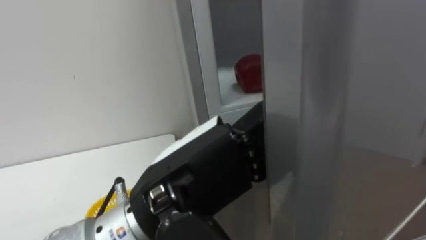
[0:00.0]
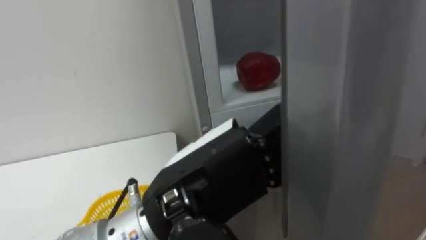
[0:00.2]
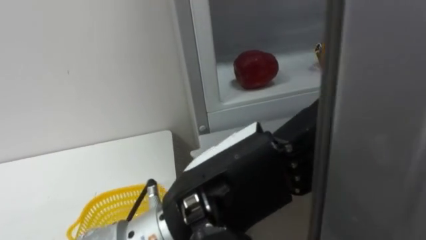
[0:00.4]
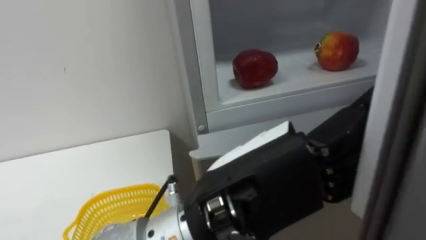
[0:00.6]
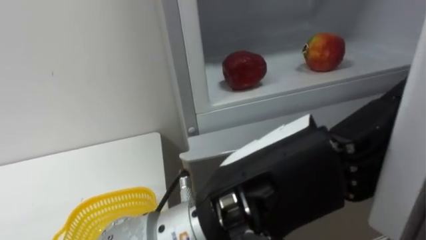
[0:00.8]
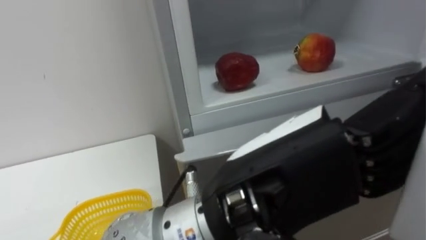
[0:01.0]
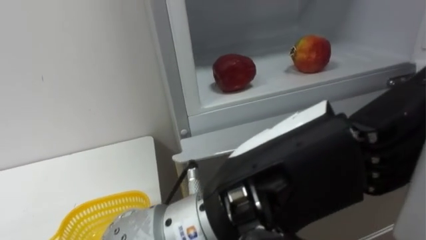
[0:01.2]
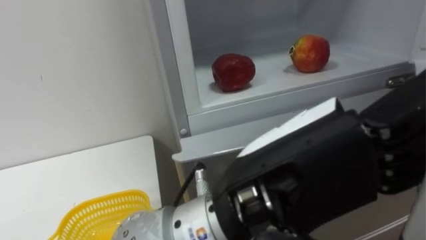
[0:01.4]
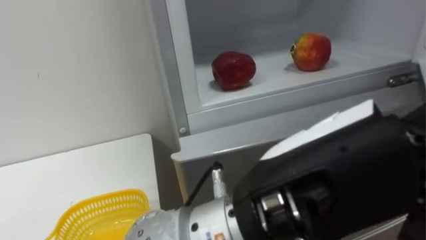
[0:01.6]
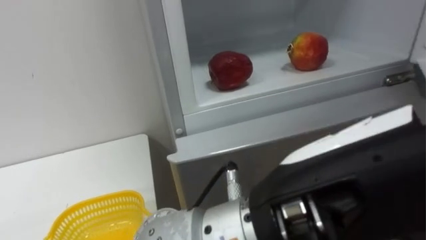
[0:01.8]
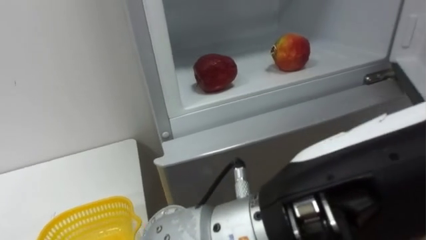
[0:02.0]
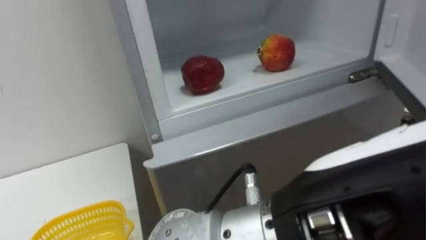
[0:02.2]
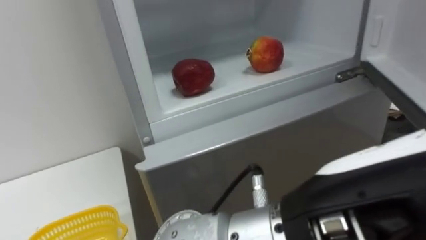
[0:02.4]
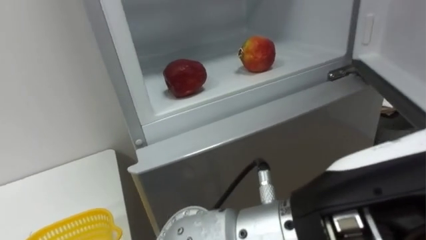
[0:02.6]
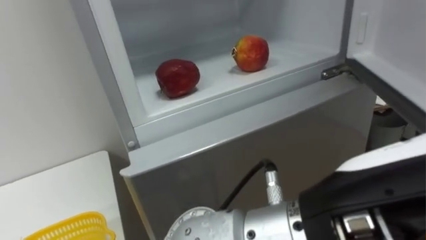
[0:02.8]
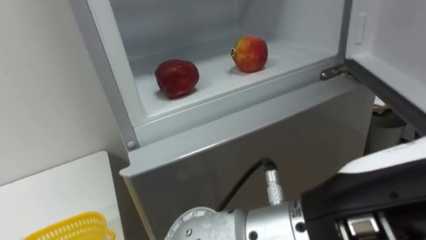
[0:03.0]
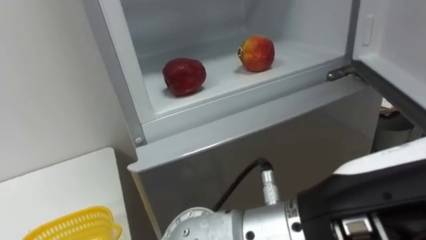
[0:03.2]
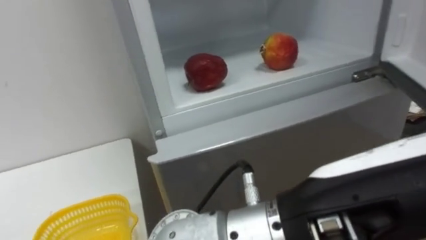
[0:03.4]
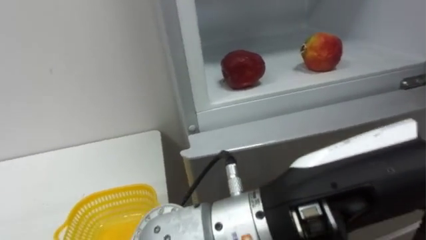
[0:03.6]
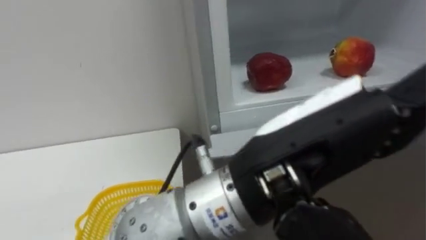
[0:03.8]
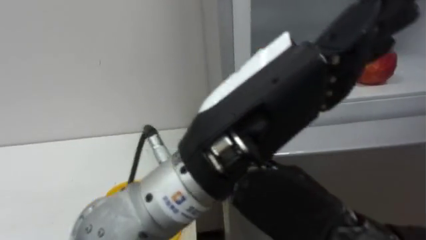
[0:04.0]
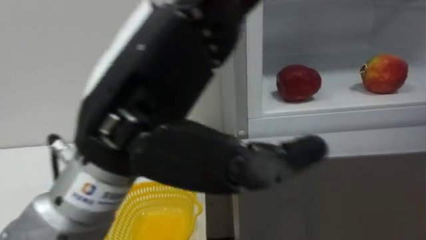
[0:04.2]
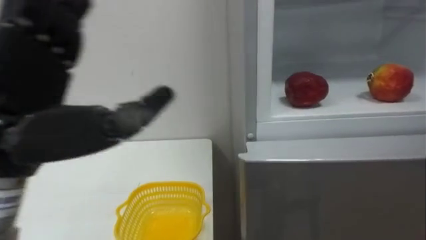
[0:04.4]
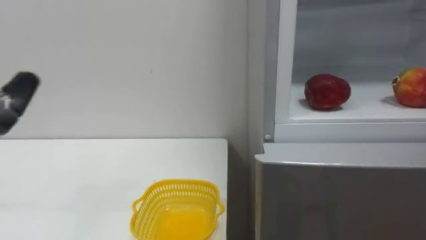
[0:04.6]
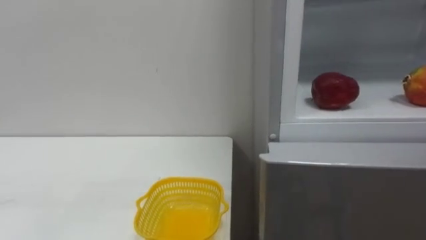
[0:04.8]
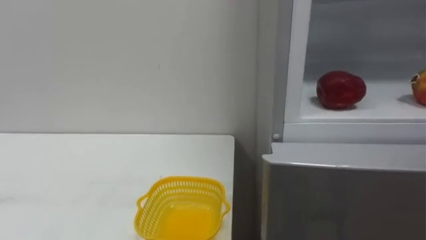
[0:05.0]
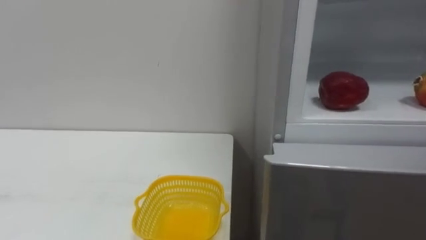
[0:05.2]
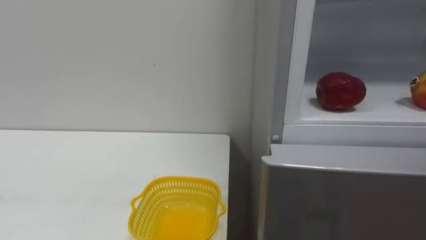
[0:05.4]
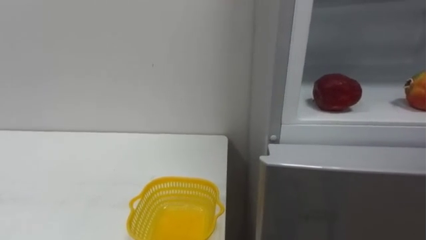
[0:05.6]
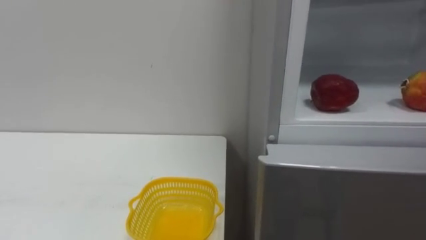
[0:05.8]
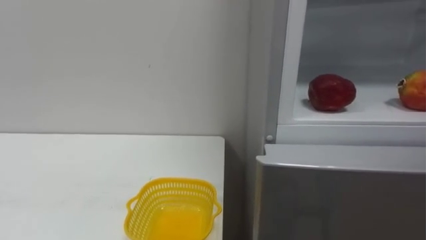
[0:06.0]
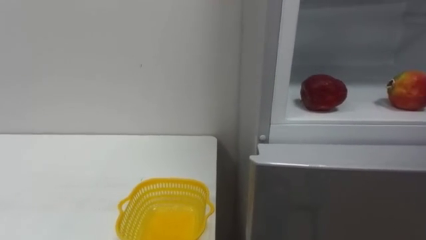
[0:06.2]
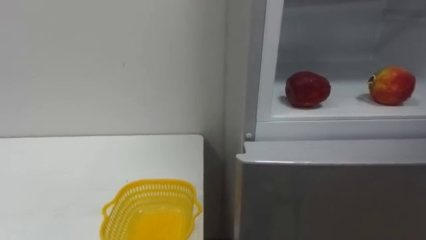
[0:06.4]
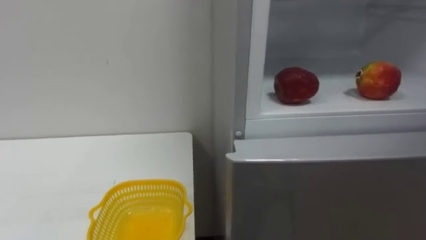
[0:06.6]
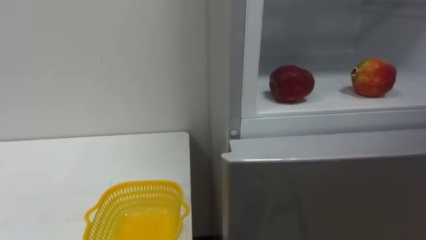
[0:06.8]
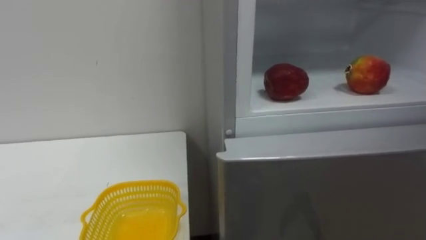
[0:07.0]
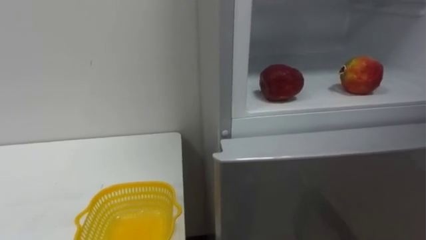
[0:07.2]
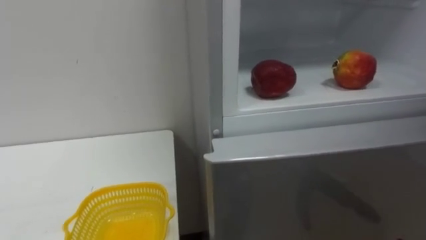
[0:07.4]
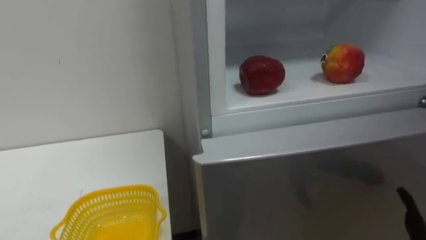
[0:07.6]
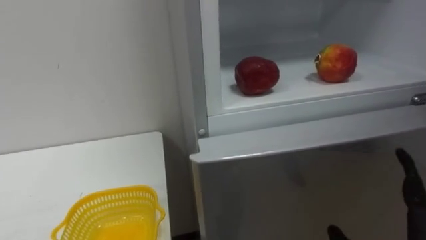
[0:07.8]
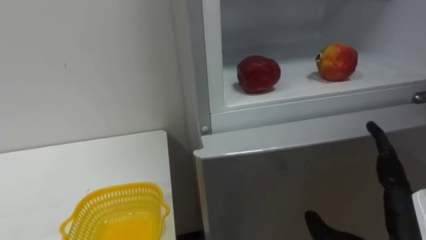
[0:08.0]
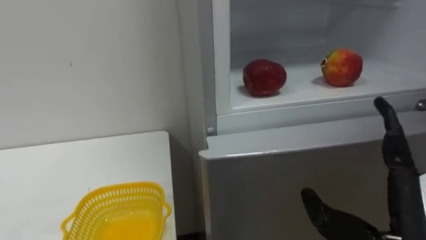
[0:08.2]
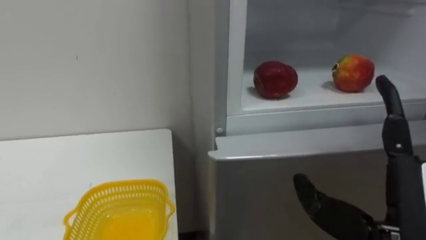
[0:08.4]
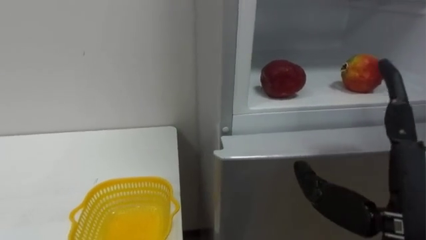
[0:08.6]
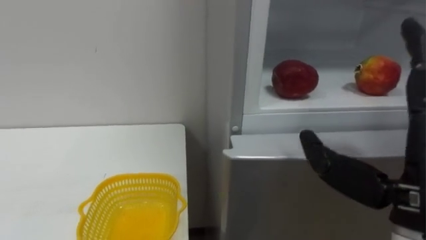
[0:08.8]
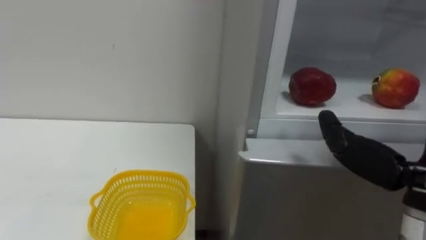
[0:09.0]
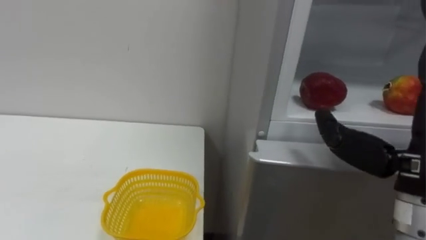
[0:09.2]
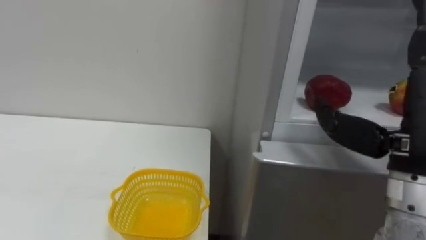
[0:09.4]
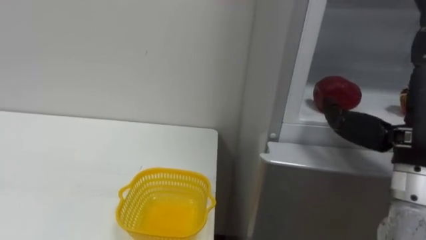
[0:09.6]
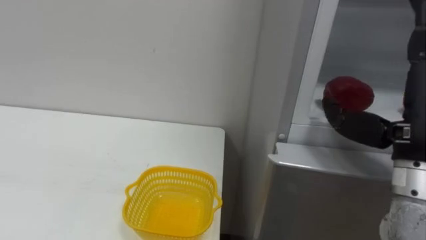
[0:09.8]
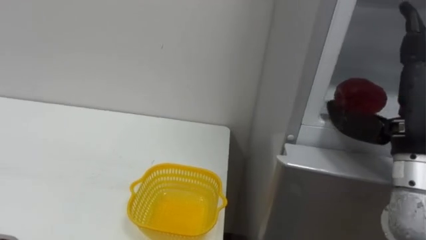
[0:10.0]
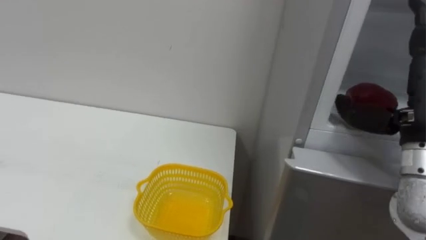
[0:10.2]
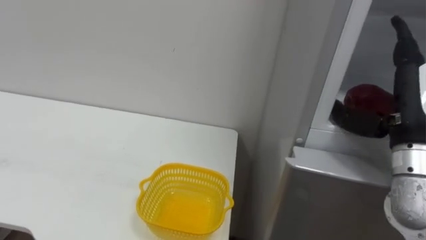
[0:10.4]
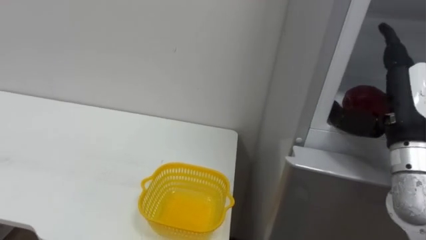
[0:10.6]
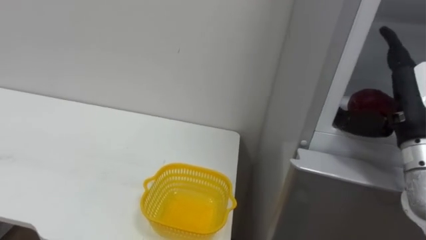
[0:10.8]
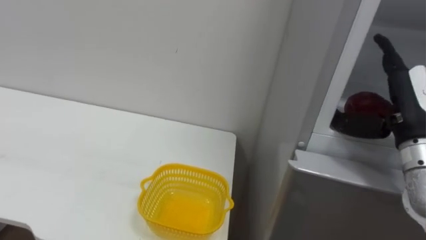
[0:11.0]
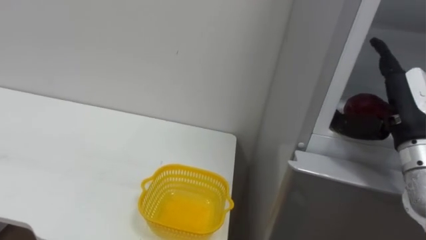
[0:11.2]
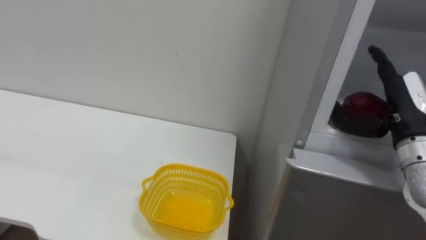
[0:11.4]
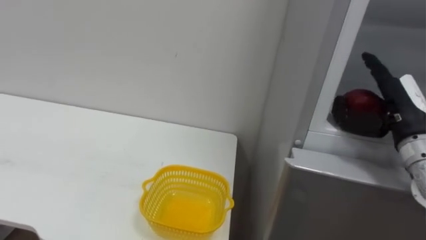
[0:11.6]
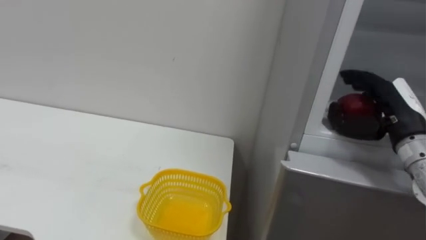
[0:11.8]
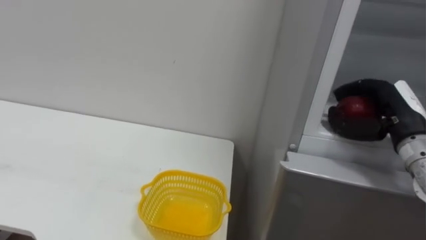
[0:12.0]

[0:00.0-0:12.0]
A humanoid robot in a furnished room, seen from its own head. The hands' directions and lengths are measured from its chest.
Task of the whole recording: Open the refrigerator door, take out the apple and the pomegranate, place them in the fruit basket on the left, and close the refrigerator door.
0:00.0 to 0:01.6: The left hand goes approximately 10 cm to the right and backward.
0:03.0 to 0:04.4: The left hand travels to the left by some 30 cm.
0:10.4 to 0:12.0: The right hand shifts approximately 5 cm forward, and closes.

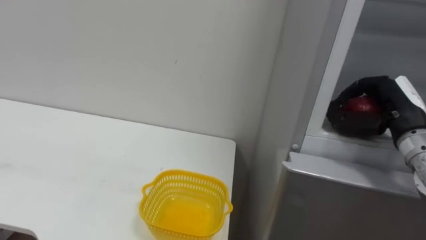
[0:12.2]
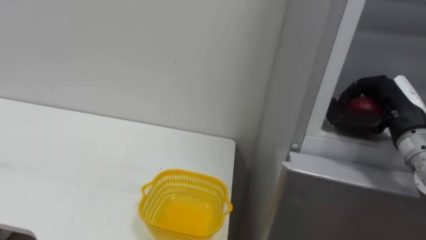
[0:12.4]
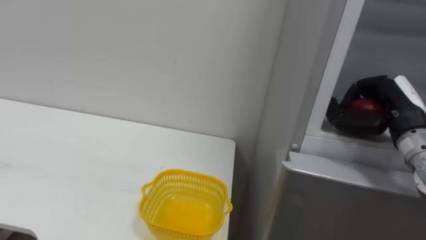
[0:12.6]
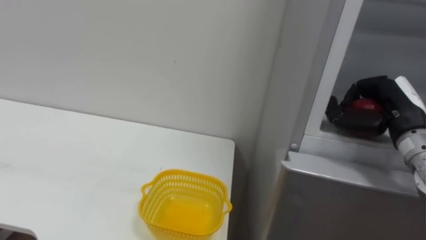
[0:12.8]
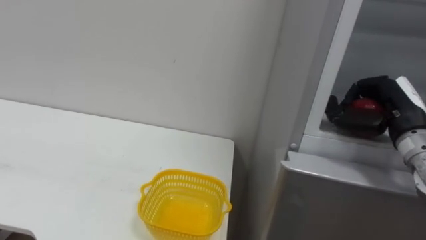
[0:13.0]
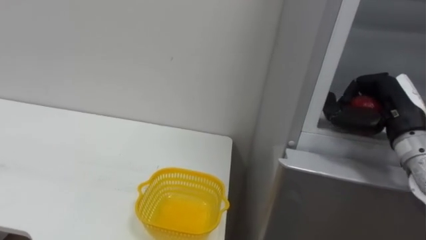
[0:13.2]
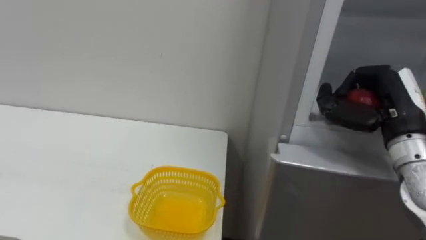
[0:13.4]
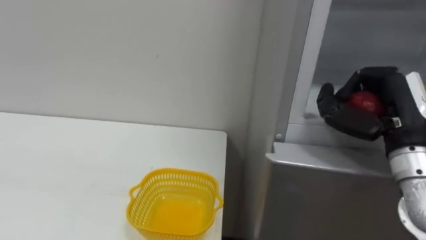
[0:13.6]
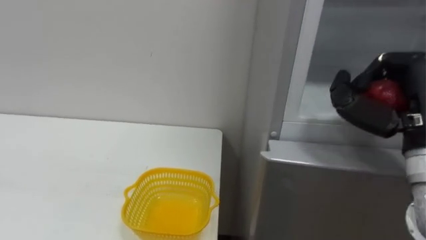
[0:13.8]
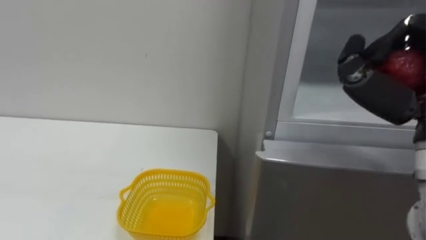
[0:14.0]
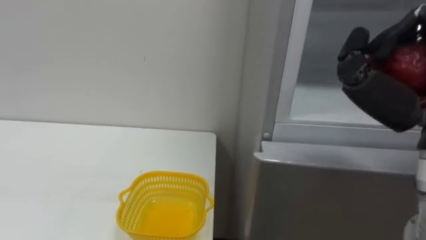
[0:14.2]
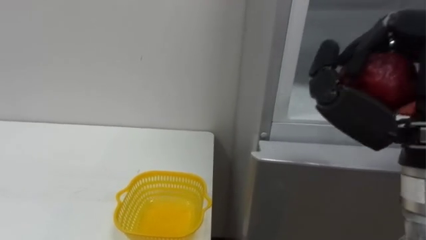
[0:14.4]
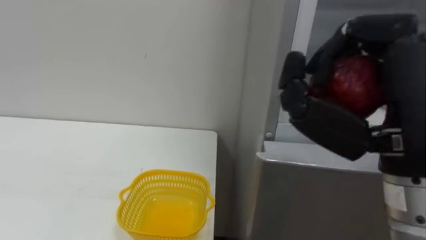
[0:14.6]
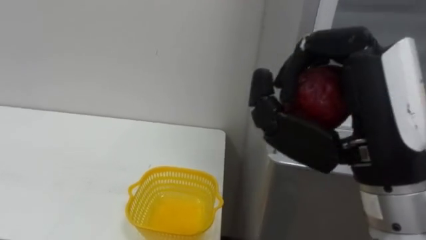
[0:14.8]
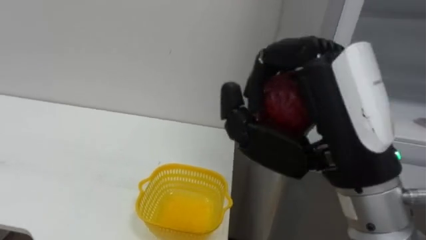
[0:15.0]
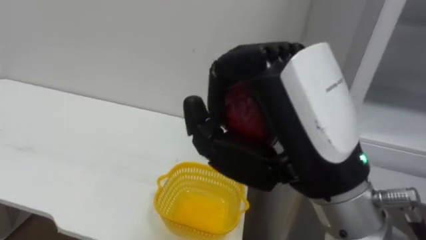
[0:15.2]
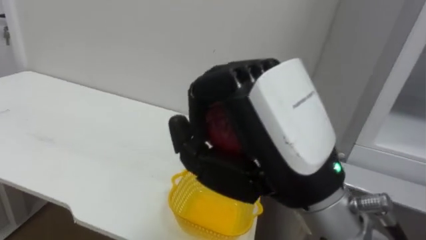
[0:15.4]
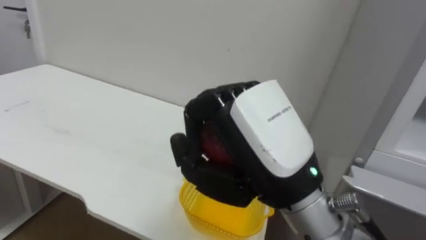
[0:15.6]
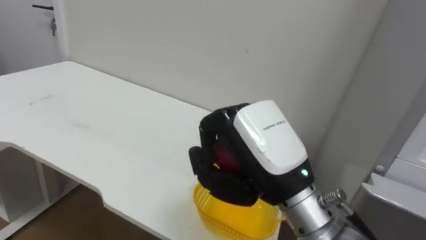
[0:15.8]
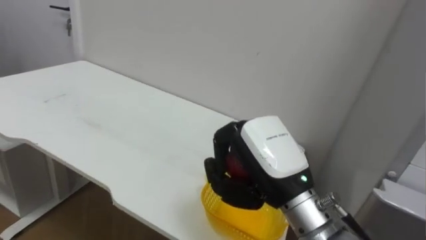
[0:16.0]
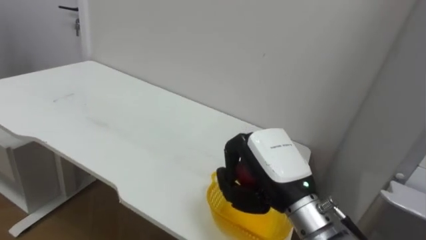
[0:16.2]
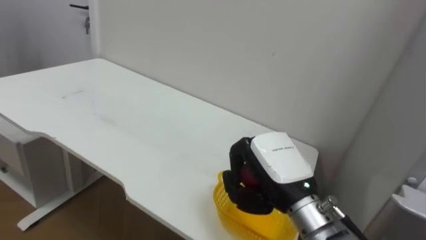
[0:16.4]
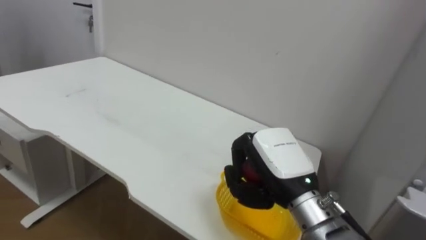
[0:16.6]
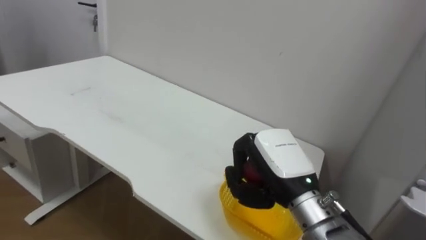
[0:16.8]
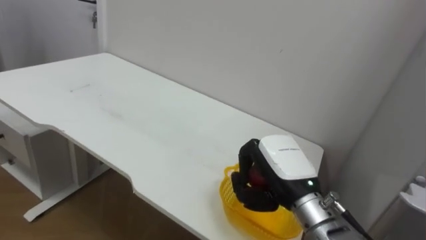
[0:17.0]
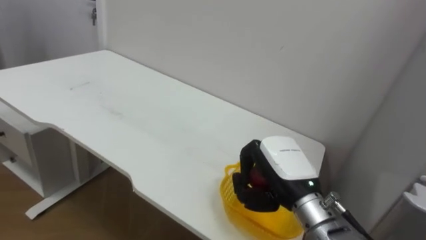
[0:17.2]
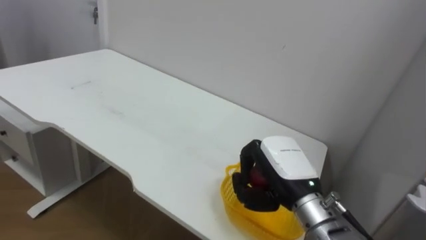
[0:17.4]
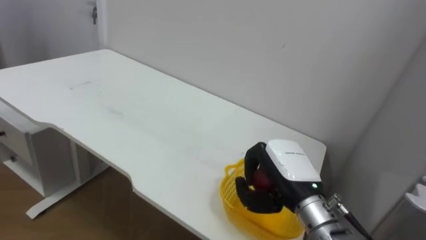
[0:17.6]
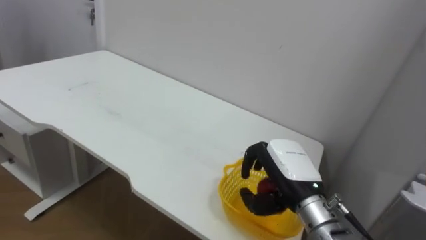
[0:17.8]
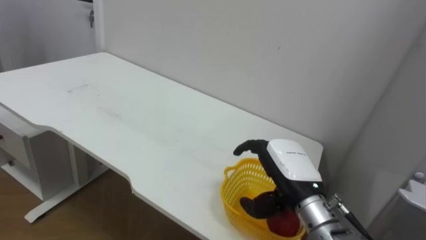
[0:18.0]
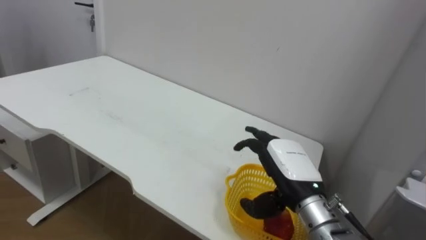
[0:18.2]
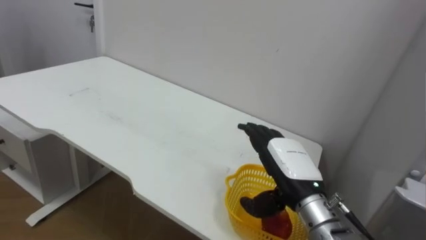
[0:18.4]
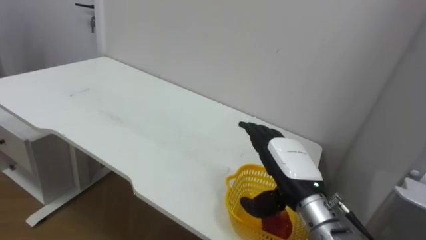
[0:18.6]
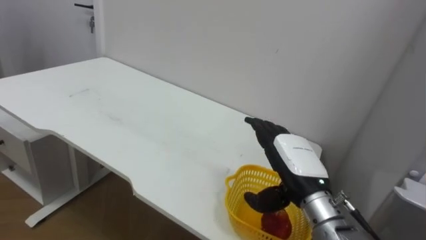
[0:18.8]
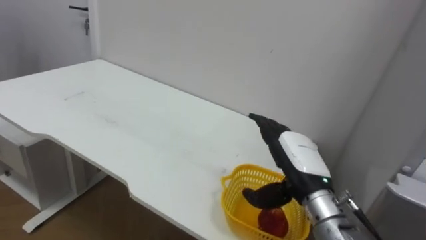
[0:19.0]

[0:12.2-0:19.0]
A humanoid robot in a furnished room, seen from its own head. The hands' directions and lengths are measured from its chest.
Task of the whole recording: Open the refrigerator door, take out the apple and the pomegranate, place them in the fruit basket on the left, and close the refrigerator door.
0:12.2 to 0:13.6: The right hand is displaced backward by some 5 cm.
0:15.0 to 0:16.2: The right hand is displaced downward and forward by about 15 cm.
0:16.2 to 0:17.6: The right hand ends up approximately 5 cm from where it was.
0:17.6 to 0:19.0: The right hand opens its fingers.
